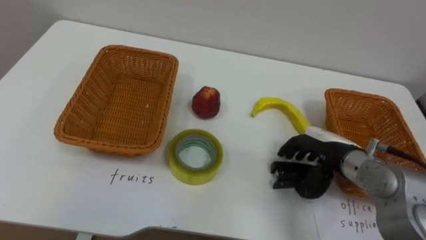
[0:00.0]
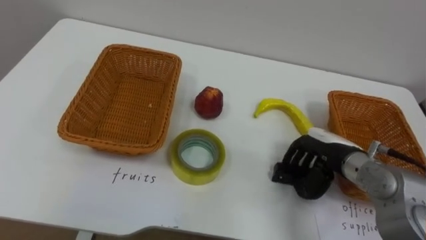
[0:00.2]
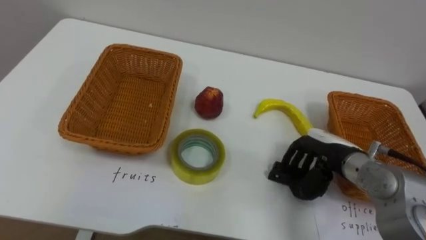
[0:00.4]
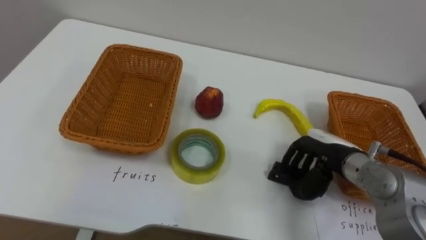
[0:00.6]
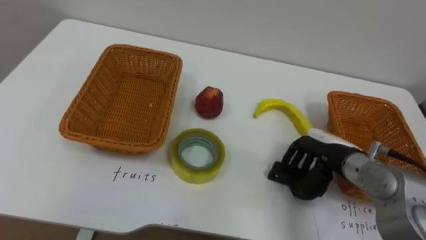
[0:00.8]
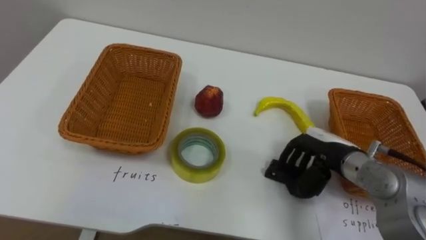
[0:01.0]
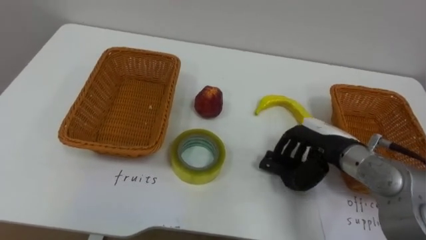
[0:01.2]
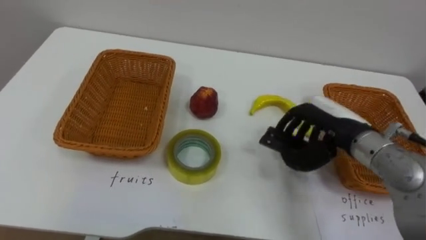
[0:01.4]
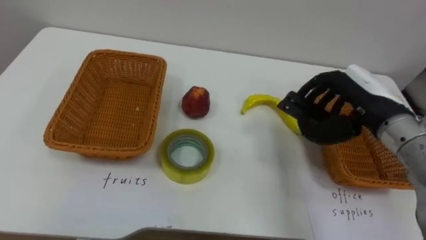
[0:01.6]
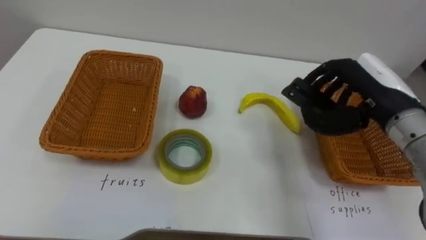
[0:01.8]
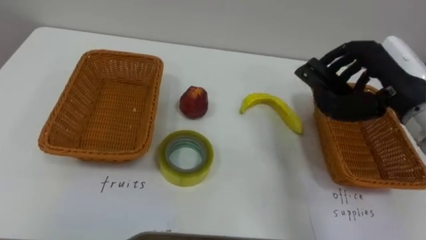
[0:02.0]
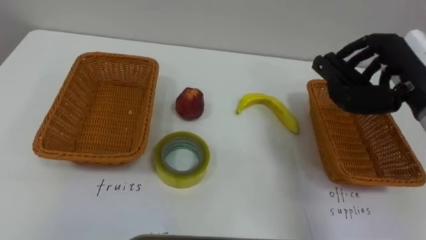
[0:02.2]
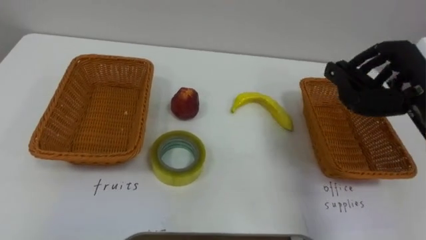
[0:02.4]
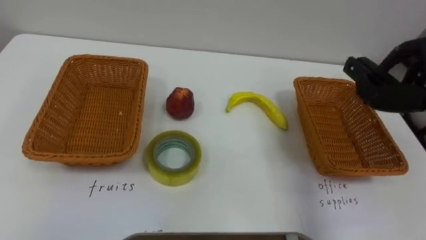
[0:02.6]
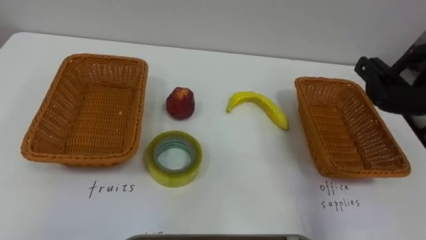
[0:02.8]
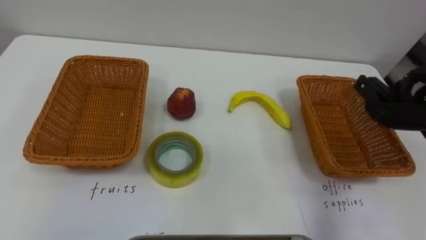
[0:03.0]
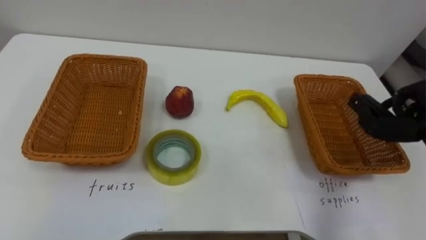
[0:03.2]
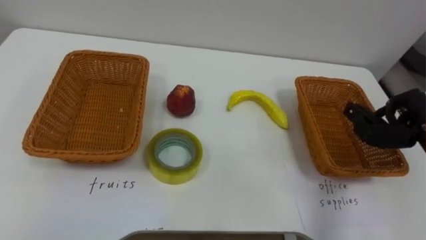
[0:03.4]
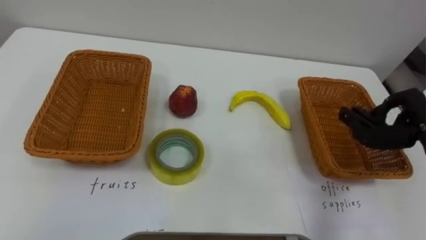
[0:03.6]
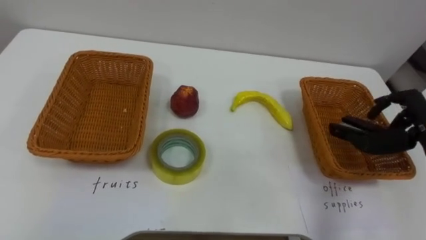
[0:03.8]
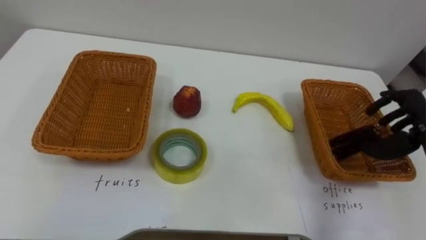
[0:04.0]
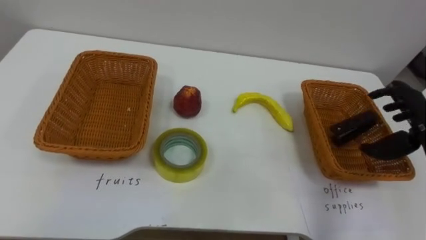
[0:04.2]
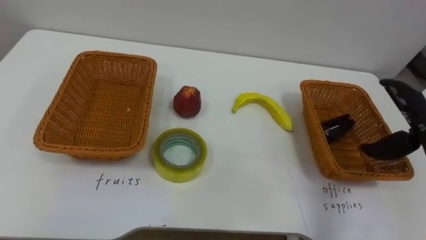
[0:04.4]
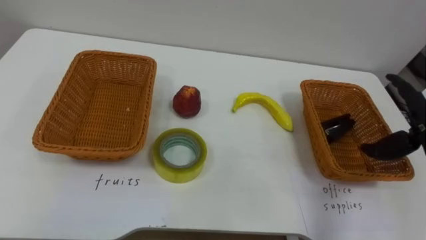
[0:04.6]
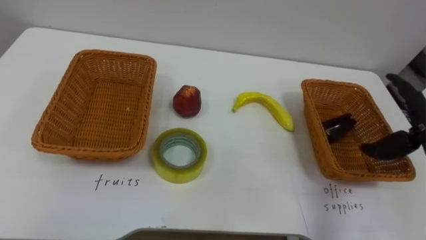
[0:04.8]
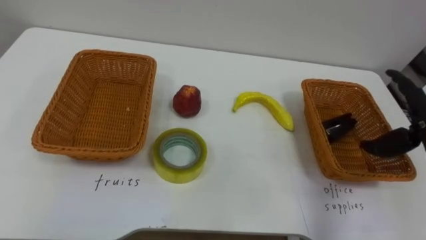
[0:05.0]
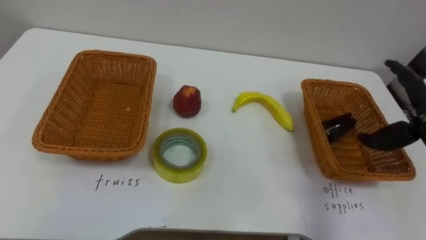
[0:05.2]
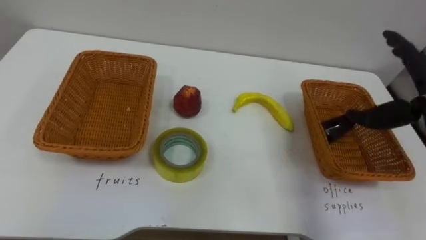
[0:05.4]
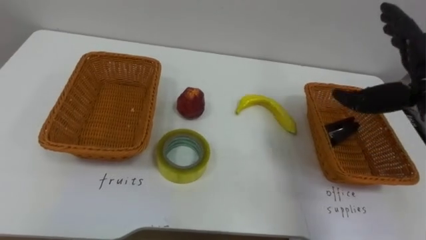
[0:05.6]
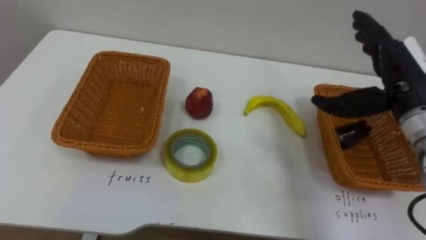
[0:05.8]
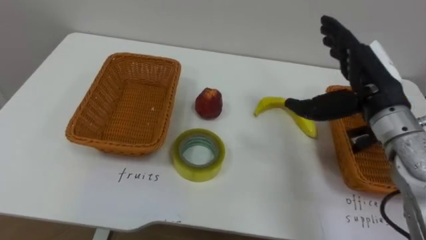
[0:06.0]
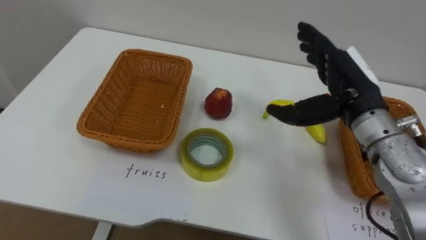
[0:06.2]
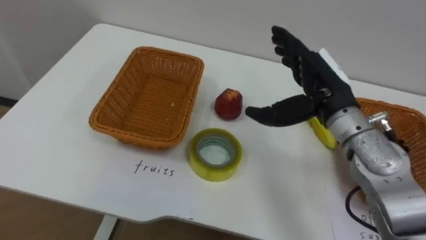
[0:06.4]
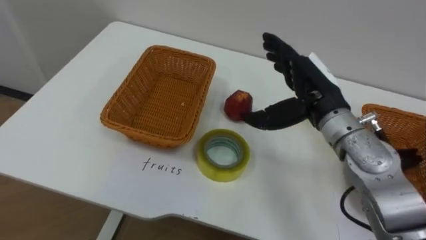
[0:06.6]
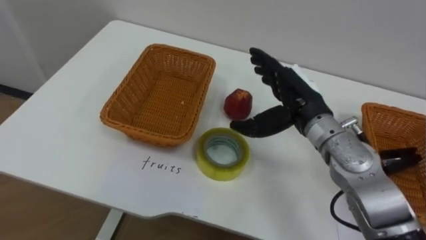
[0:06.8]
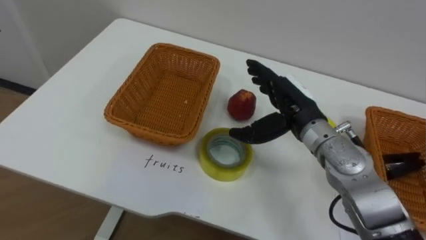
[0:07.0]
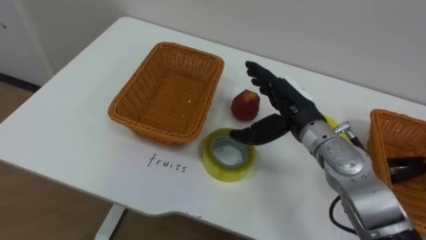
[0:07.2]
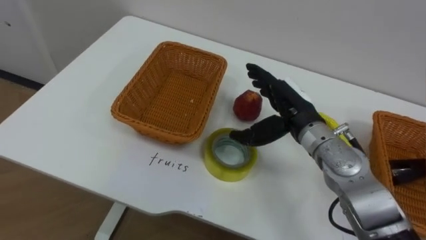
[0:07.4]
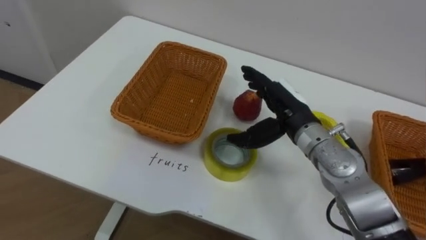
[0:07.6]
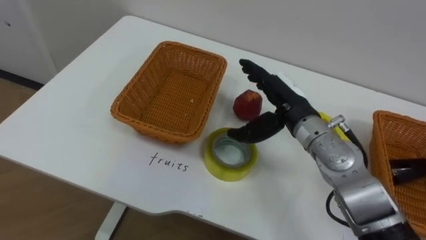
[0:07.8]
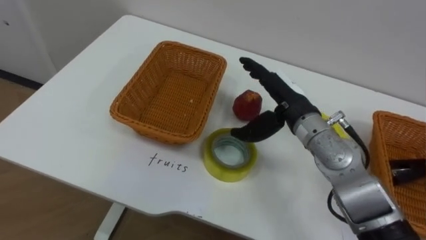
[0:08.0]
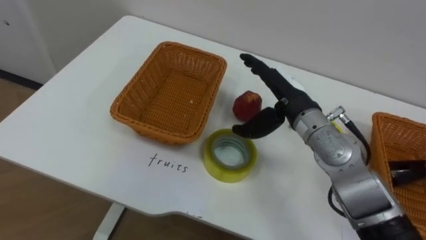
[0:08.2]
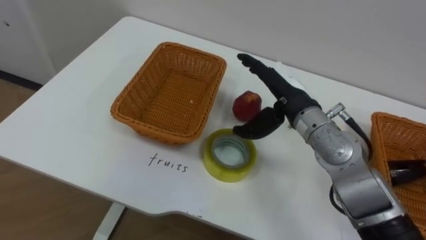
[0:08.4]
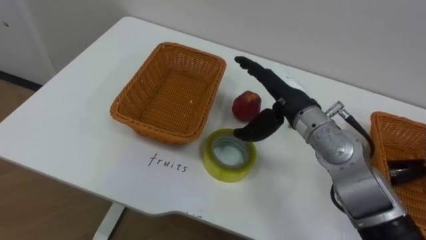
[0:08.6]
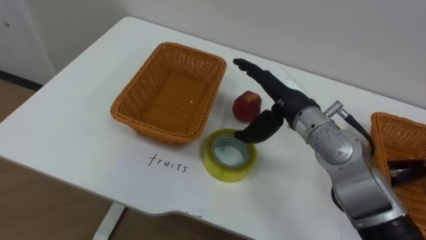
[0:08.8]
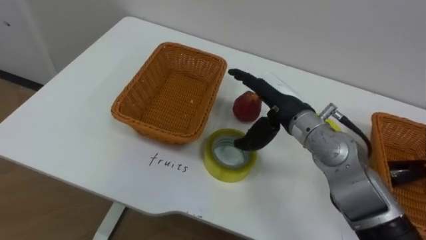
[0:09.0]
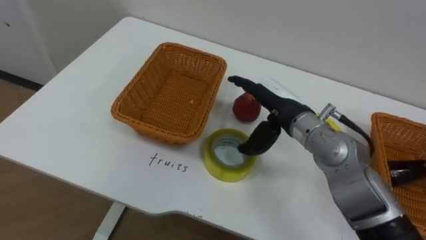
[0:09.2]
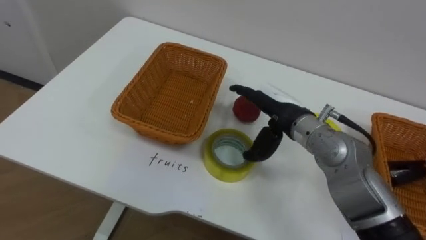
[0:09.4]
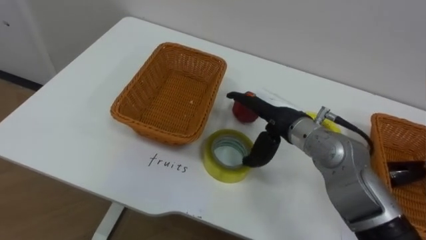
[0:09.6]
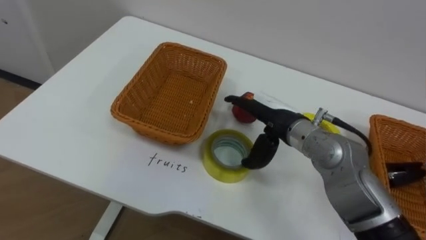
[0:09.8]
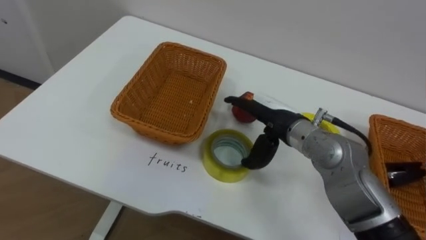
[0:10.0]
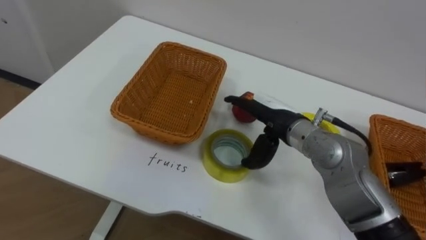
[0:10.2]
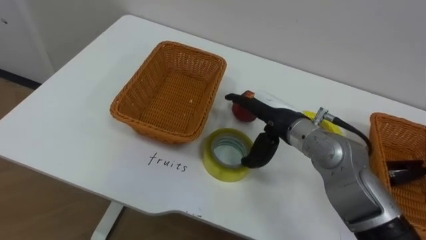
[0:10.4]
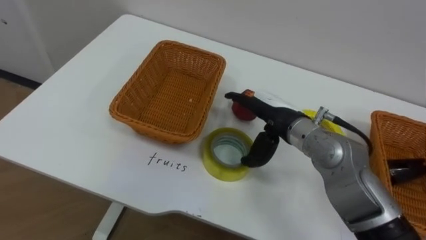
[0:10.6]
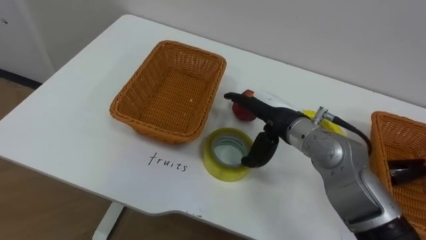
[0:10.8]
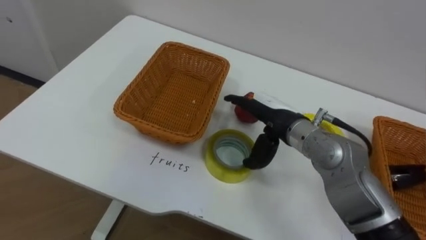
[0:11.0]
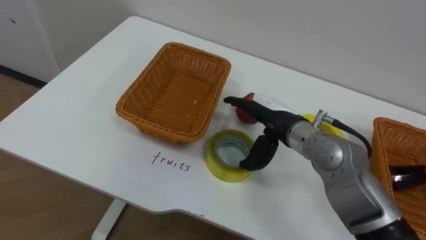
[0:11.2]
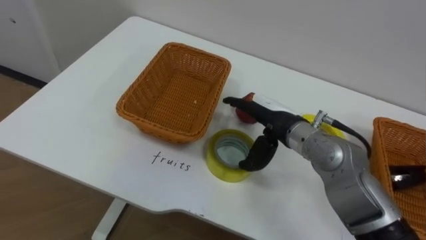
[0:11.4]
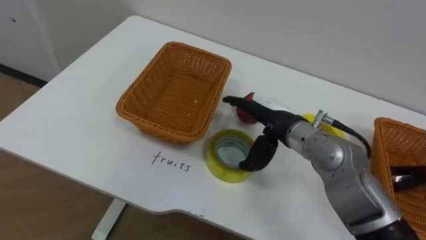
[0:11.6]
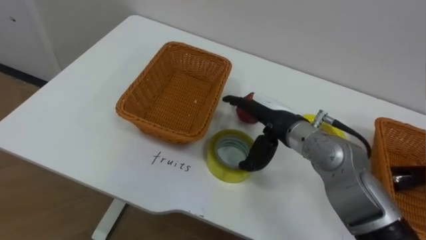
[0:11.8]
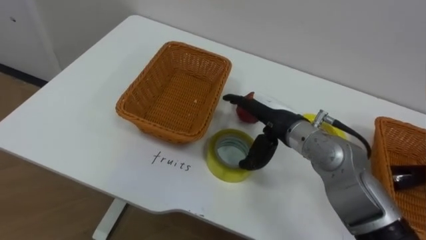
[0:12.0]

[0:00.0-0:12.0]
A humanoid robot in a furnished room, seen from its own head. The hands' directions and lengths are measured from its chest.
Task of the whole recording: Separate the items on the table and place them into the two baskets.
0:00.0 to 0:01.6: The right hand goes about 10 cm upward.
0:06.0 to 0:07.6: The right hand goes roughly 15 cm to the left and downward.

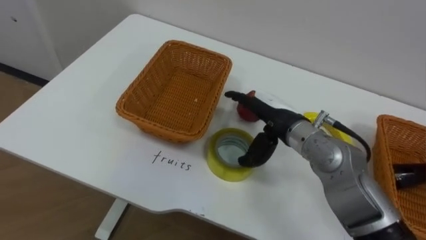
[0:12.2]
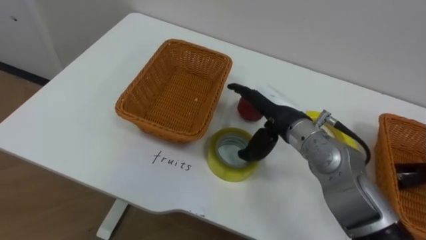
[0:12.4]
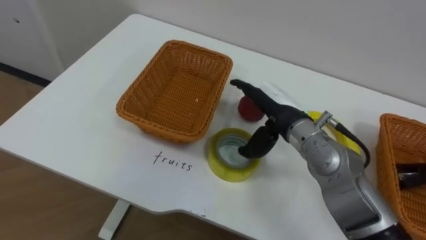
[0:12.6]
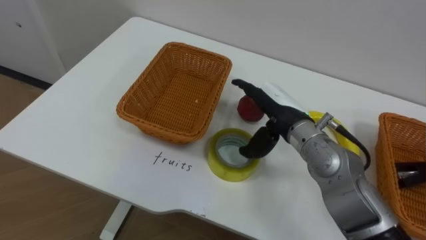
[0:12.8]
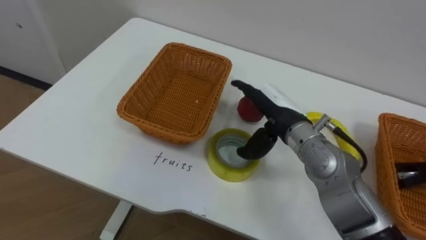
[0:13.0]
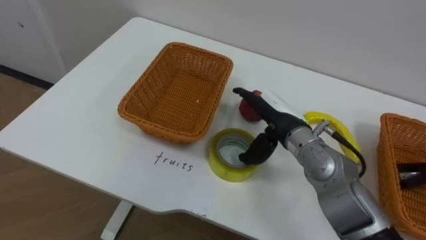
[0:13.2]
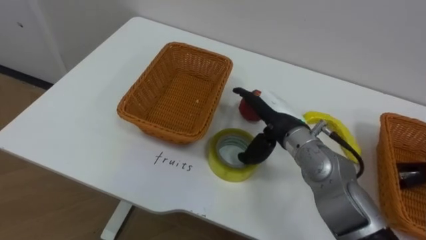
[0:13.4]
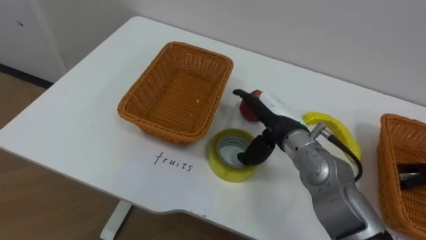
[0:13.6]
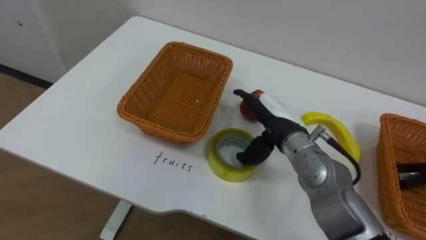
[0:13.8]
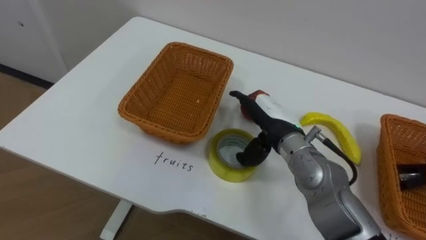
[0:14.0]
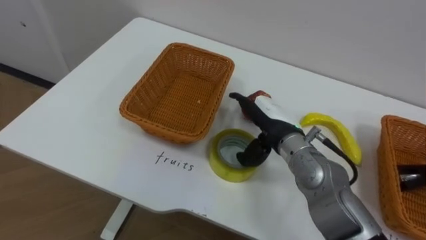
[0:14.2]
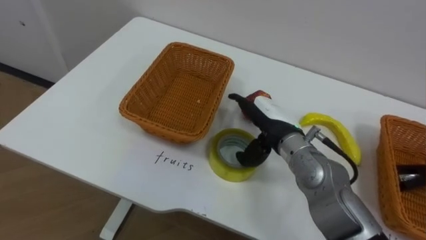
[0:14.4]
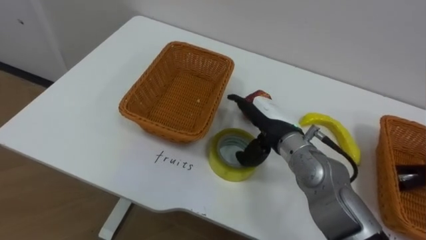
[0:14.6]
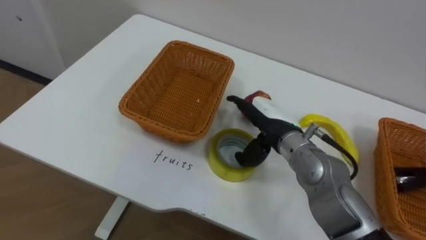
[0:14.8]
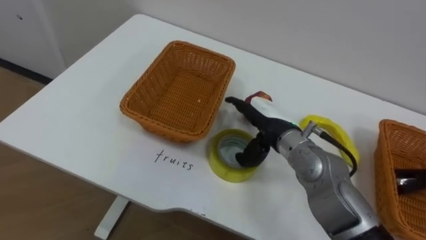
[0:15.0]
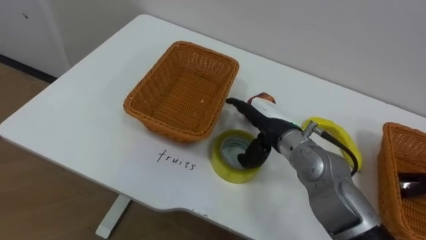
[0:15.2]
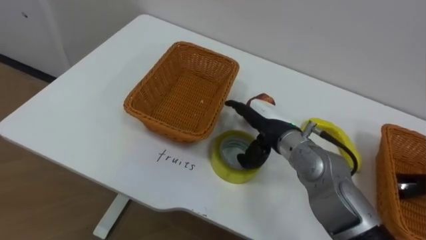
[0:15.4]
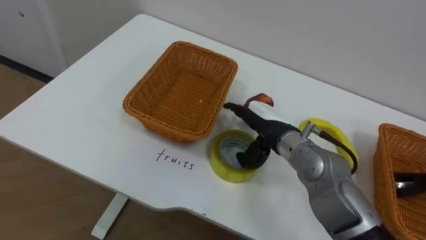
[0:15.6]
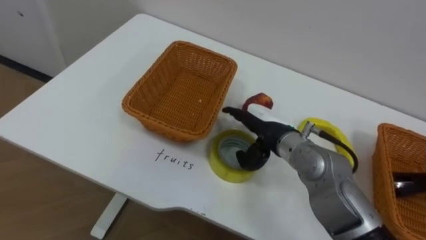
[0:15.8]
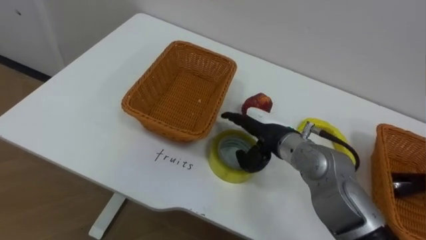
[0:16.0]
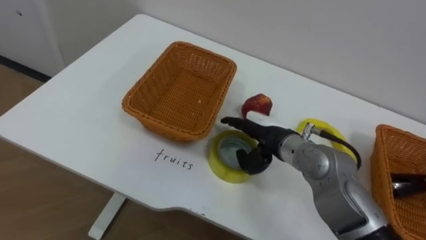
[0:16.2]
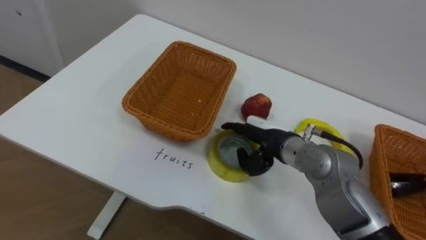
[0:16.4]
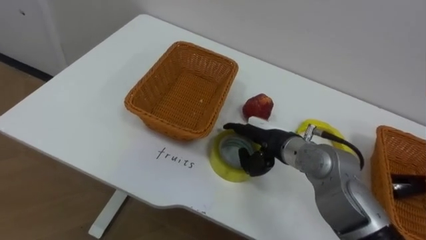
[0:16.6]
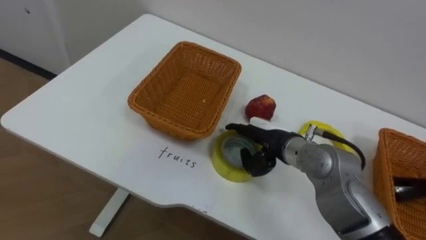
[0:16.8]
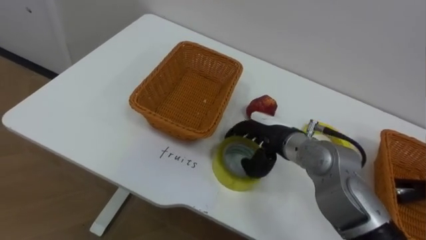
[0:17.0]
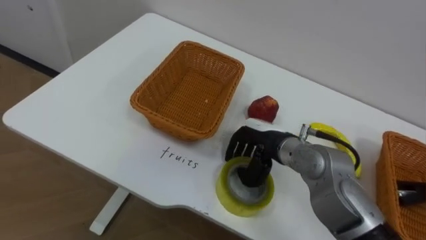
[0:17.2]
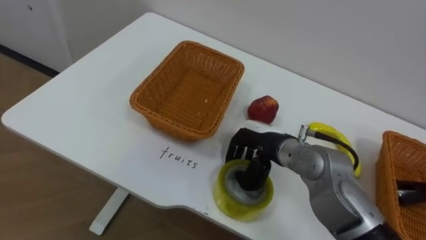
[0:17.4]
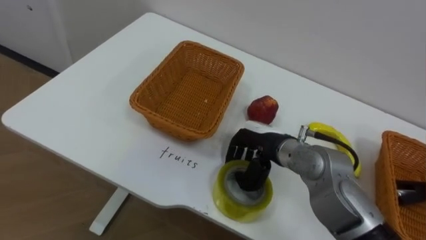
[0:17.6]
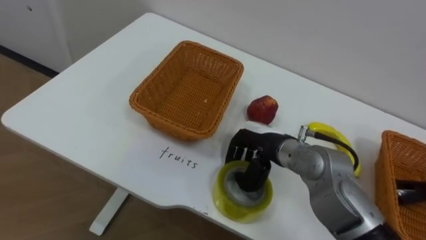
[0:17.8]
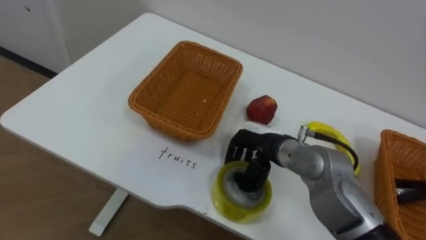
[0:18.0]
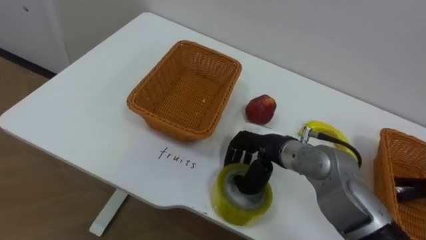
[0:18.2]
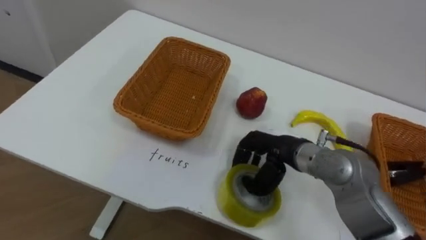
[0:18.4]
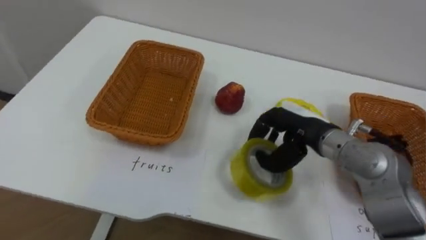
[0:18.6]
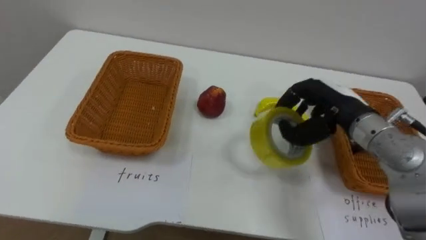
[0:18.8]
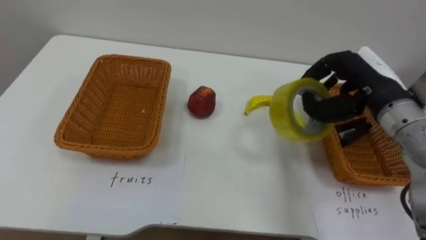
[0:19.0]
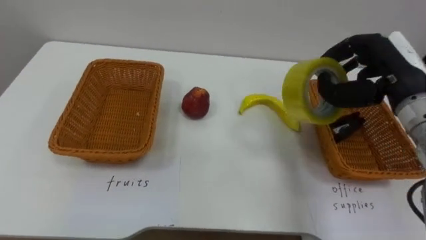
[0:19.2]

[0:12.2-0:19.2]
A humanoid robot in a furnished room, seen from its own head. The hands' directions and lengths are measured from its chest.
Task of the whole recording: Separate the items on the table and place them into the two baskets.
0:16.4 to 0:17.8: The right hand closes.
0:17.8 to 0:19.2: The right hand moves to the right and upward, approximately 20 cm.
